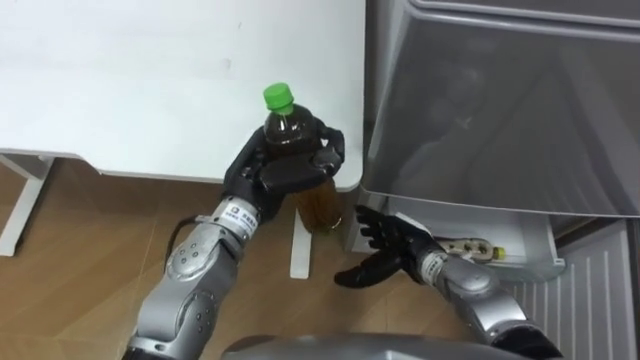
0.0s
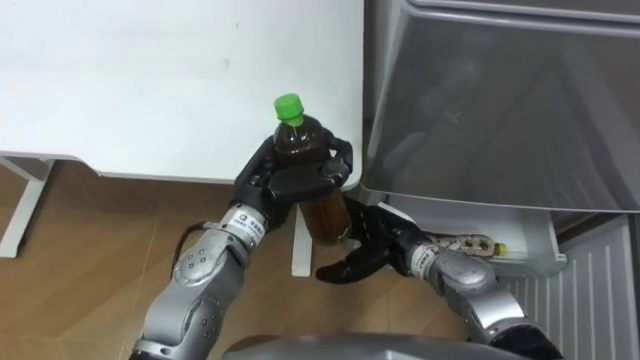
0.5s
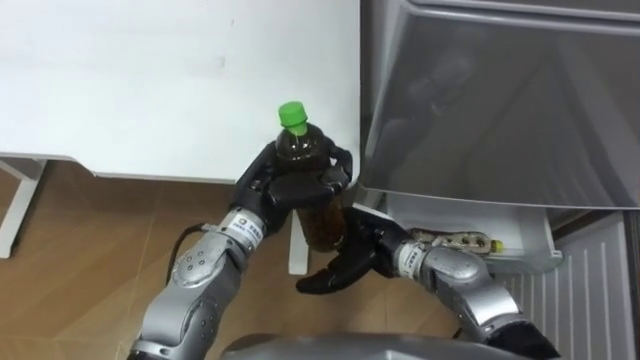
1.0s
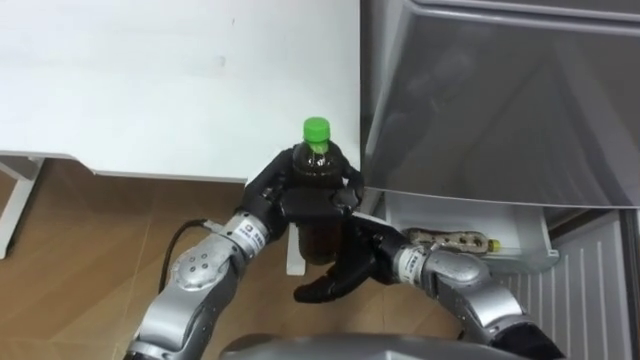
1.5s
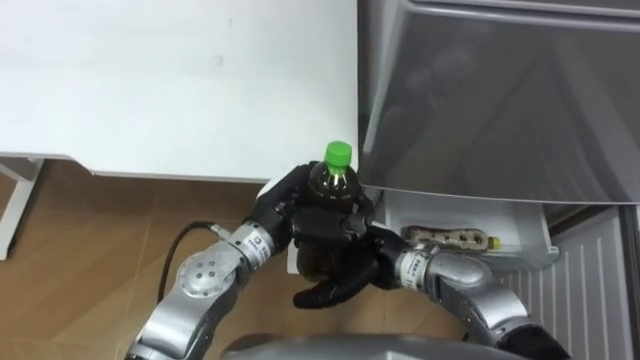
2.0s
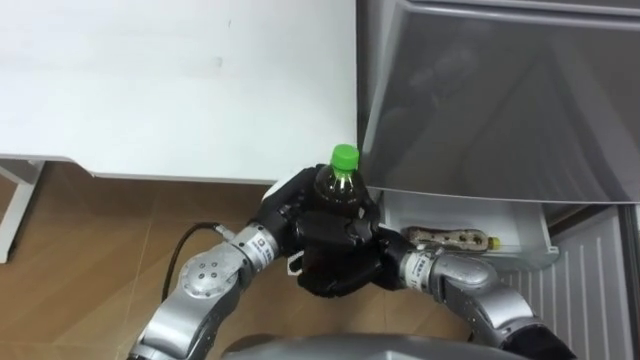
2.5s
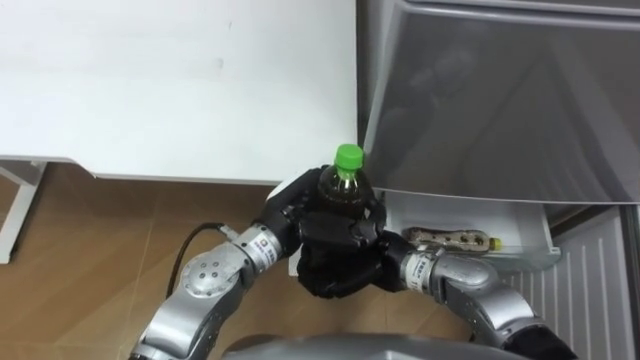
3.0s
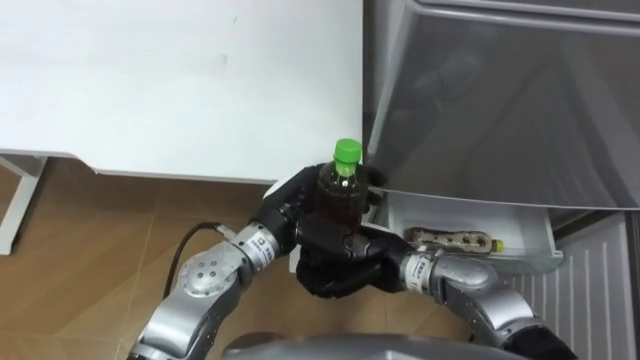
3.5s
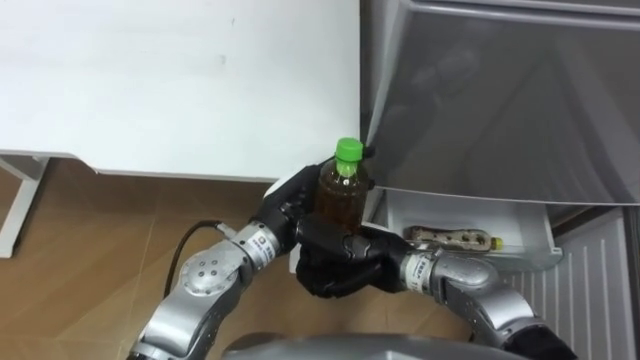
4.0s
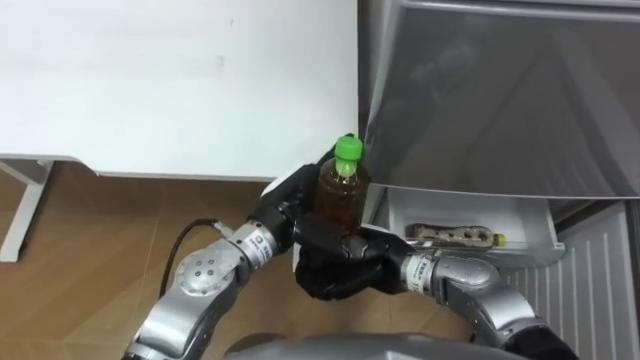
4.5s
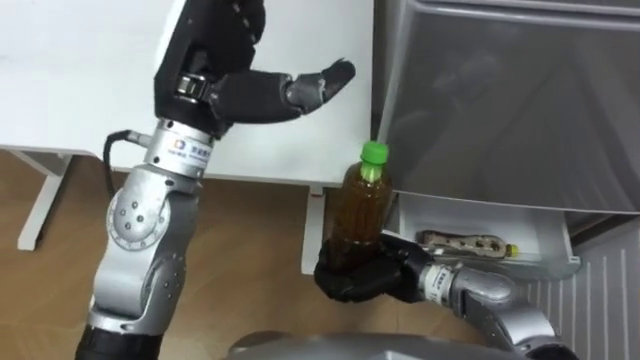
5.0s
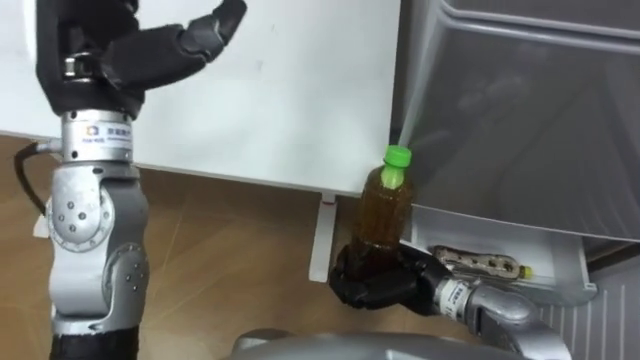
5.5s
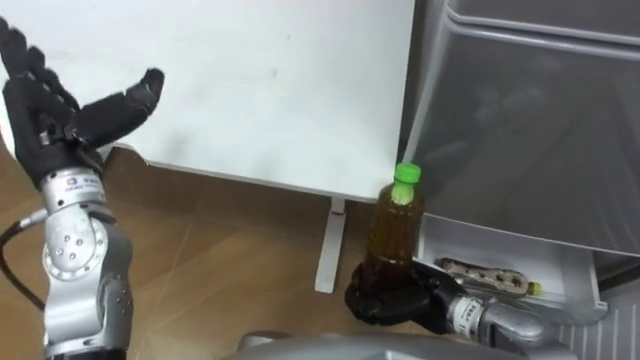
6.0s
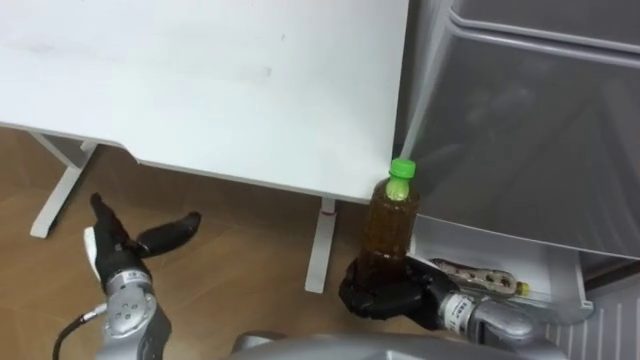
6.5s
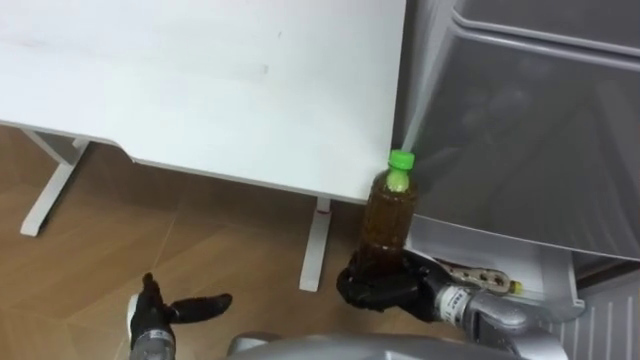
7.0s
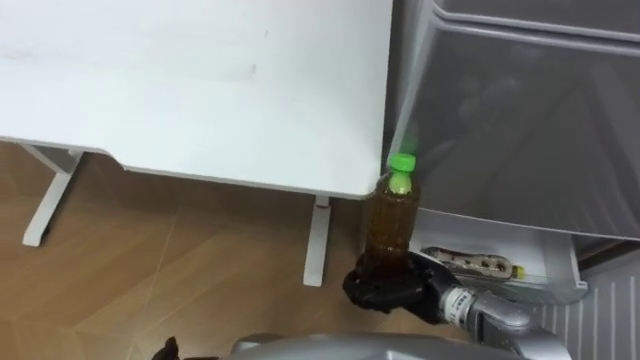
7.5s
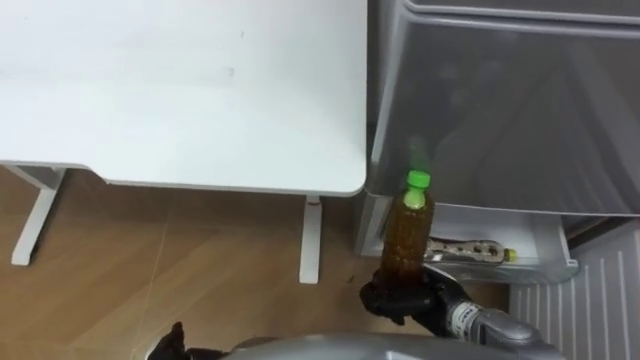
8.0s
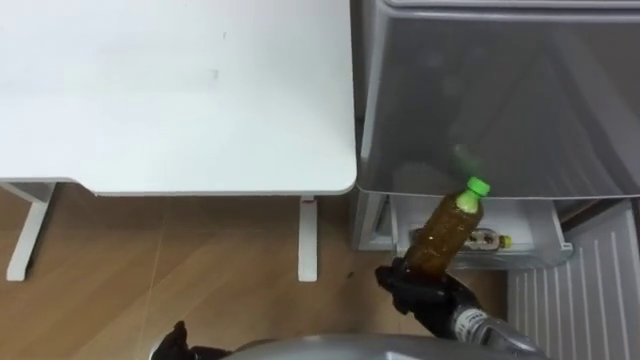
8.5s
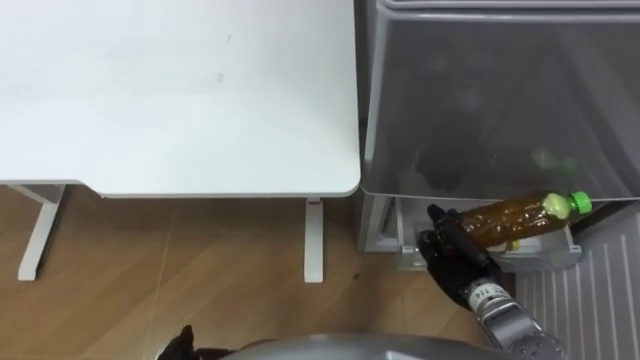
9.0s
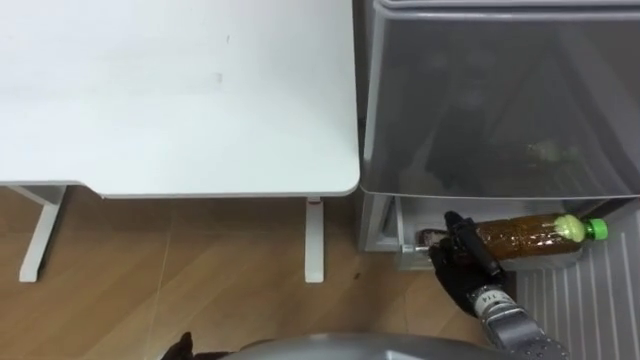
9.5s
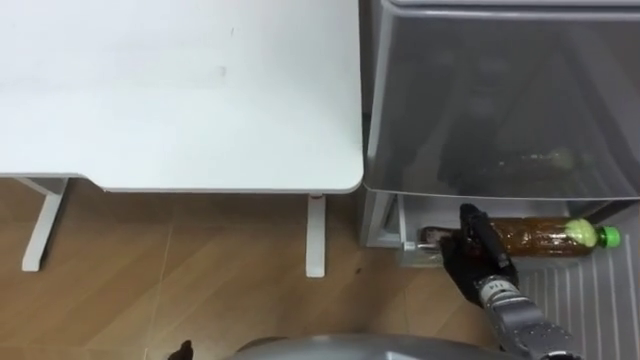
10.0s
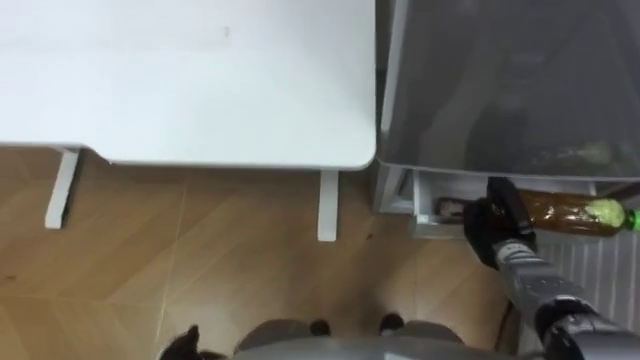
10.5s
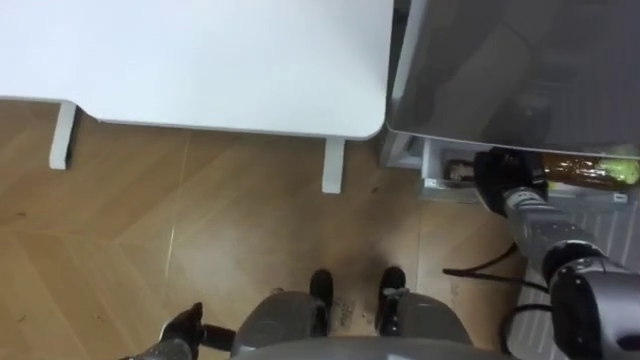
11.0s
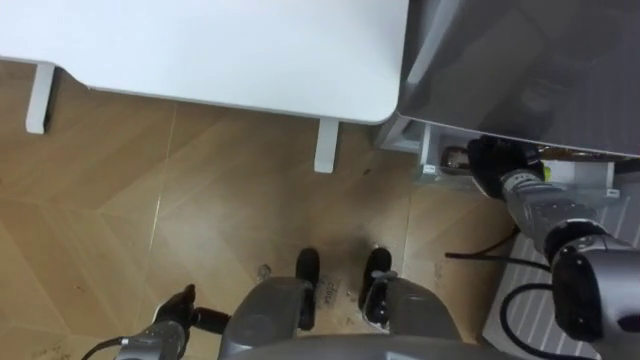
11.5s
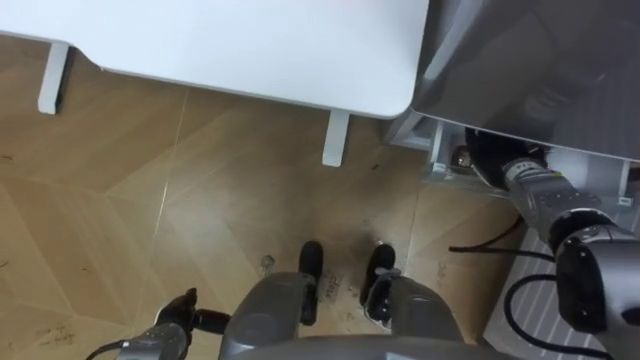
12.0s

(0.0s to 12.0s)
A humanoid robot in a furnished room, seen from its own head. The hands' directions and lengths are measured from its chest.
Task of the whole recording: Place the drink on the table on the bottom shelf of the refrigerator, then close the drawer and the refrigerator door.
0.0s - 2.0s: The left hand shifts by about 5 cm, while the right hand moves to the left and upward, some 10 cm.
2.0s - 4.0s: The left hand opens its fingers; the right hand closes up.
4.0s - 6.0s: The left hand is displaced to the left and upward by roughly 25 cm, while the right hand goes approximately 10 cm to the right.
8.0s - 10.0s: The right hand travels to the right by roughly 10 cm.
10.0s - 12.0s: The right hand is displaced forward and upward by roughly 15 cm.

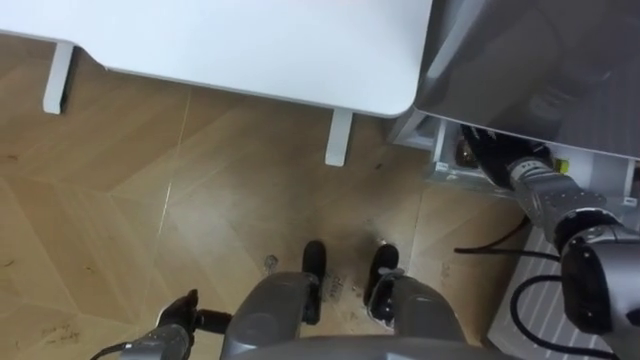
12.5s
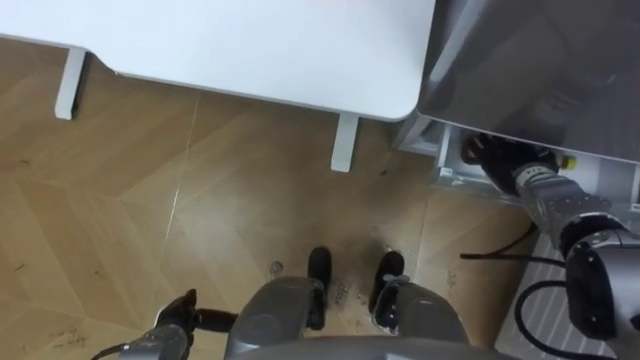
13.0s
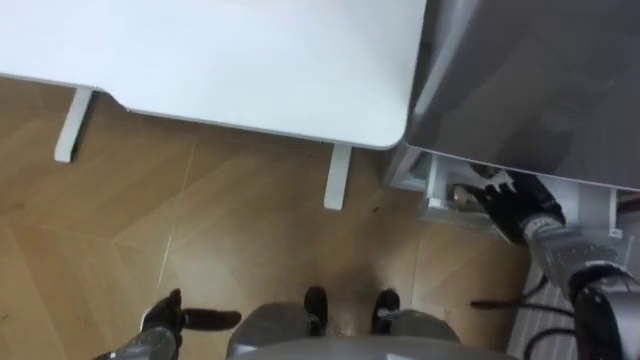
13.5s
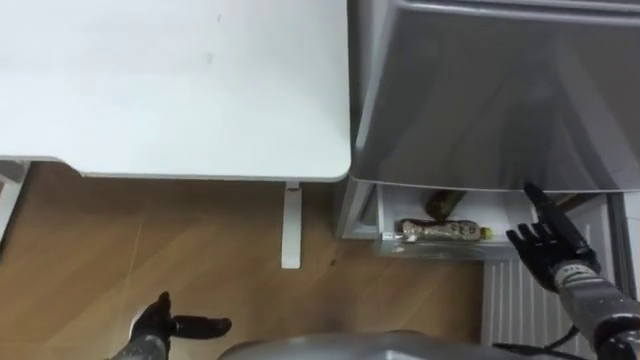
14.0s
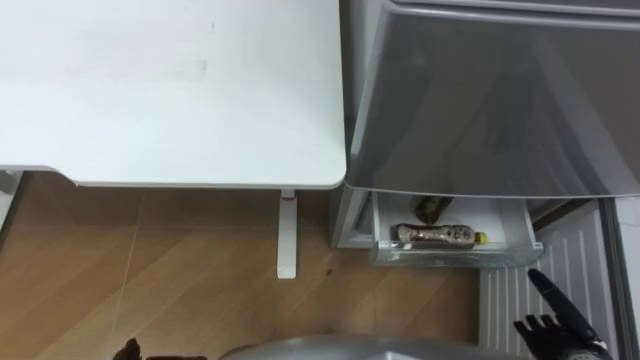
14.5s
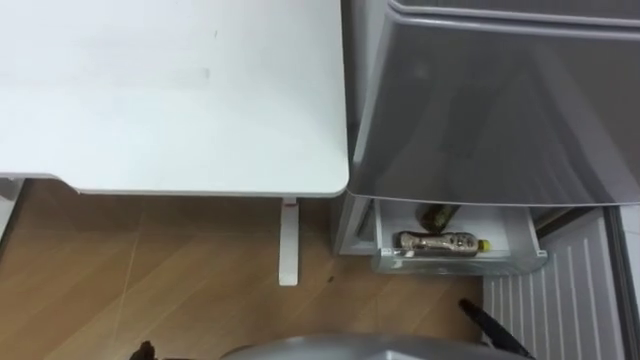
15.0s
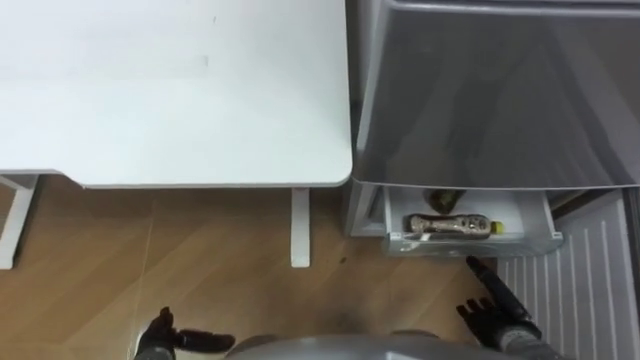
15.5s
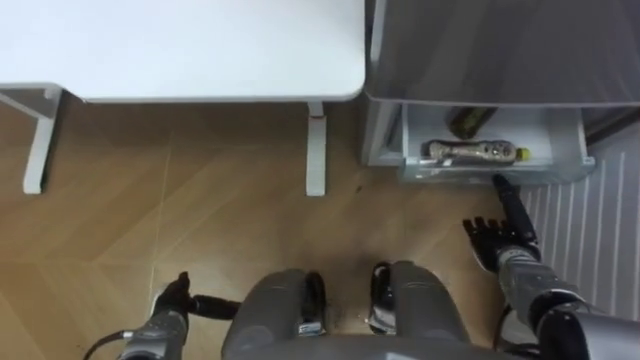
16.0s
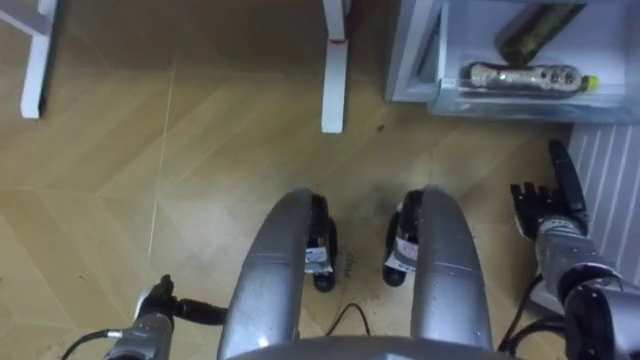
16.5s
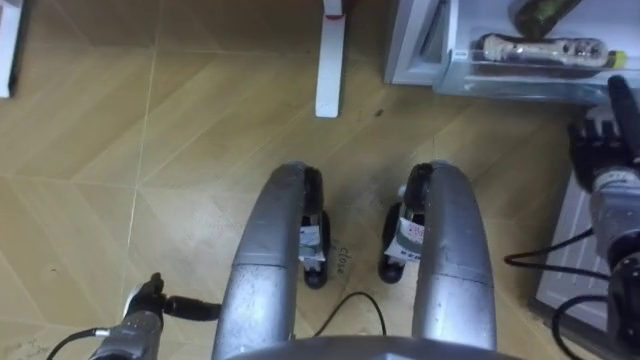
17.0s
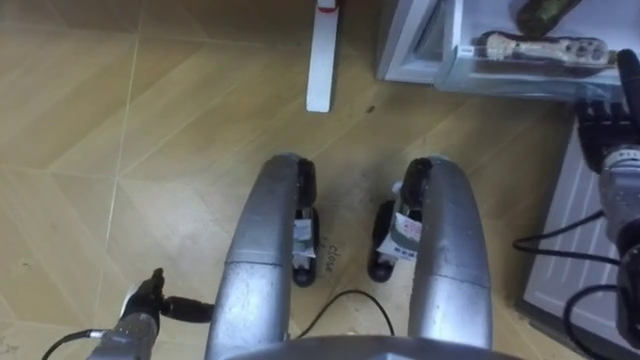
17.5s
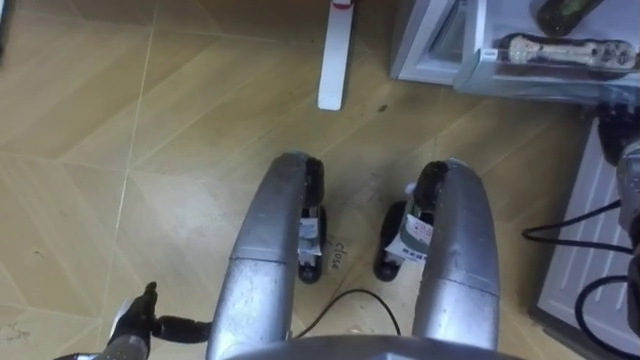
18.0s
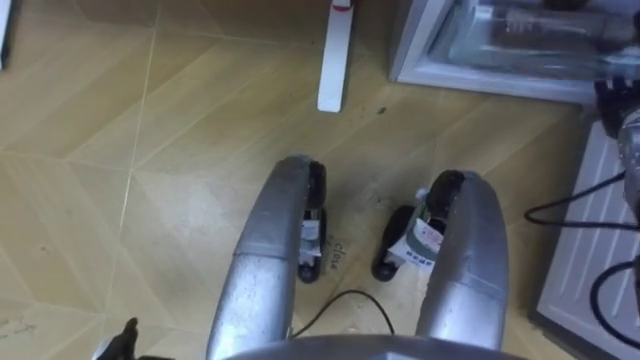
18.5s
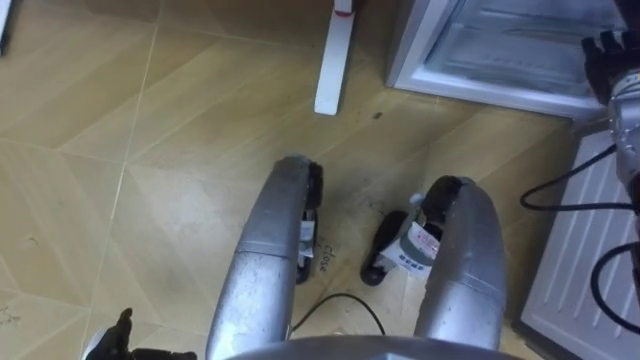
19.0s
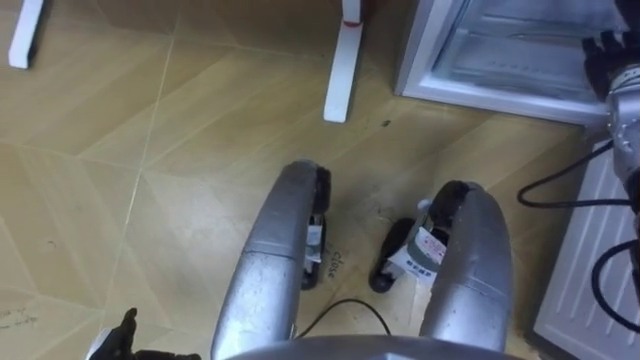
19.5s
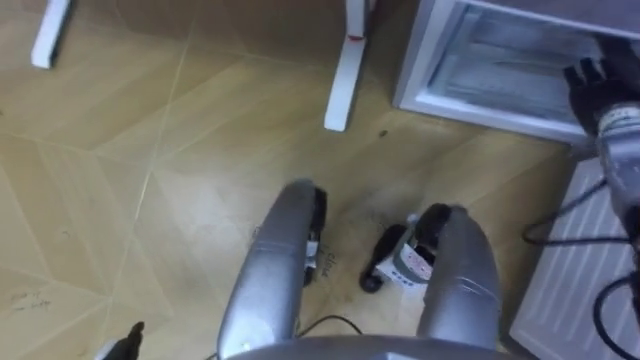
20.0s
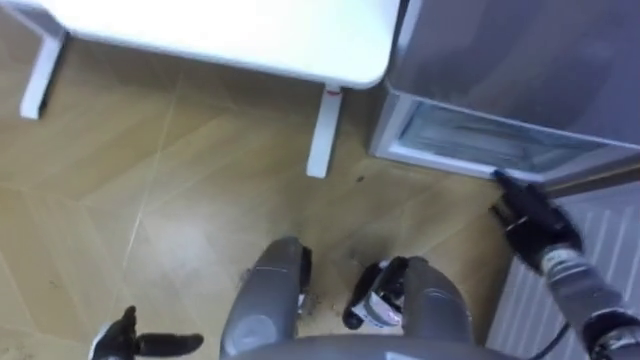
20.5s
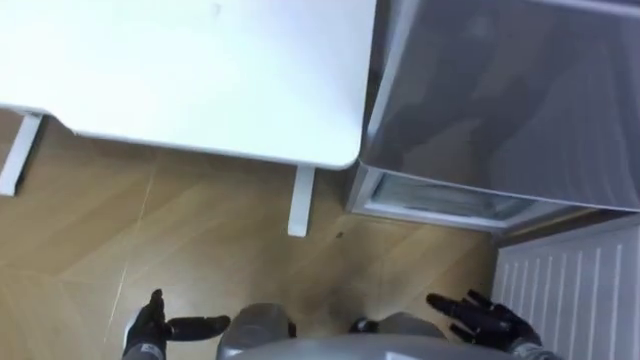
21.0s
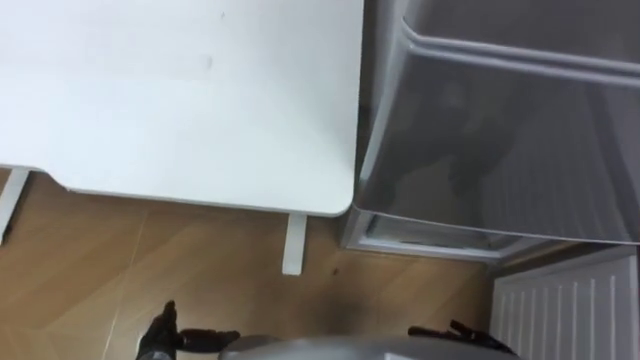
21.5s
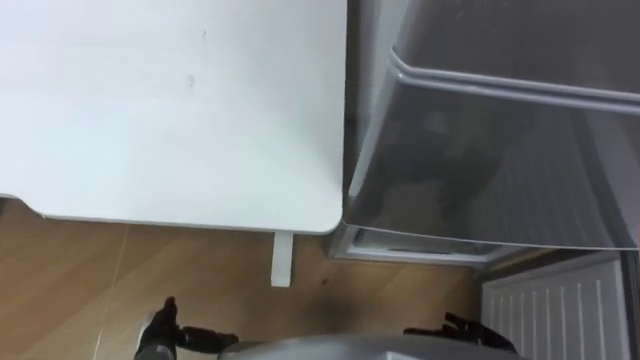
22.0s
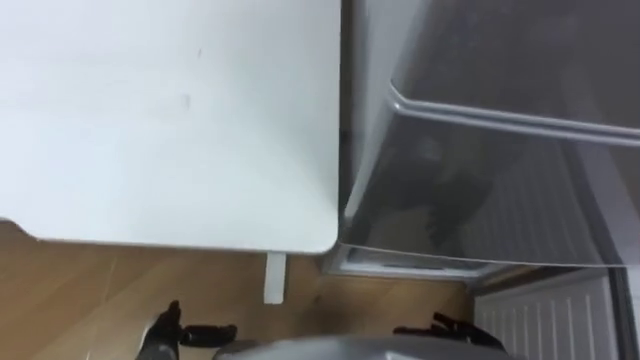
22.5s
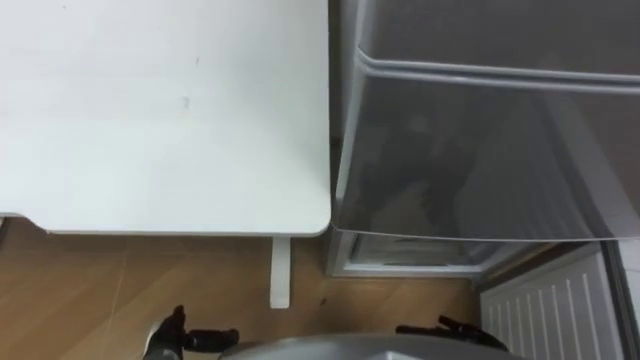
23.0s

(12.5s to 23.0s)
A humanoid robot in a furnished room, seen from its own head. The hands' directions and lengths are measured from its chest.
Task of the whole recording: Place the drink on the table on the bottom shelf of the refrigerator, then close the drawer and the refrigerator door.
12.5s - 14.5s: The right hand travels backward by approximately 25 cm.
16.5s - 19.0s: The right hand is displaced upward and forward by some 20 cm.
19.0s - 21.0s: The right hand is displaced backward and downward by approximately 40 cm.
